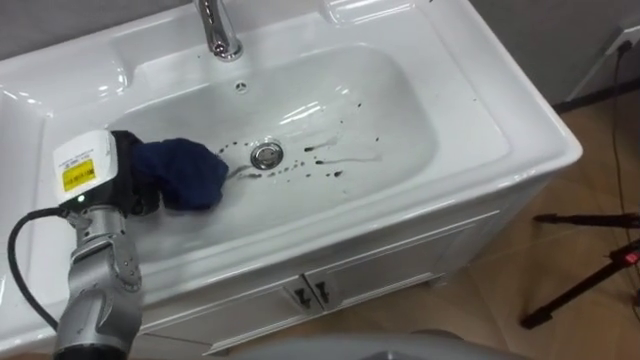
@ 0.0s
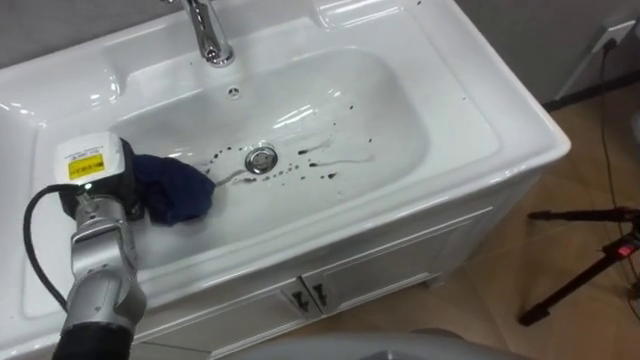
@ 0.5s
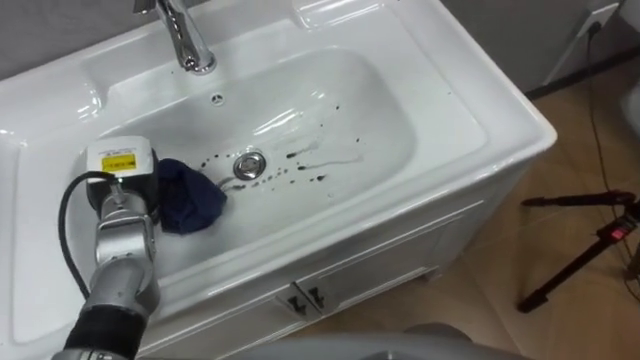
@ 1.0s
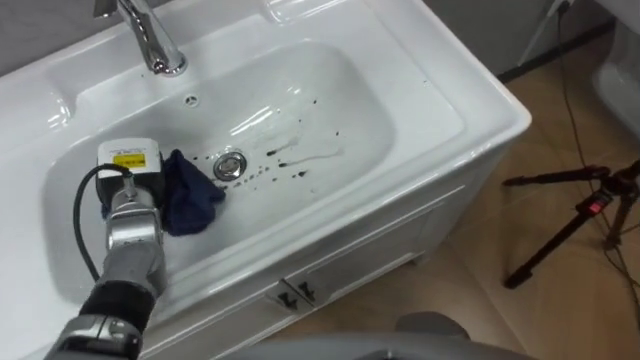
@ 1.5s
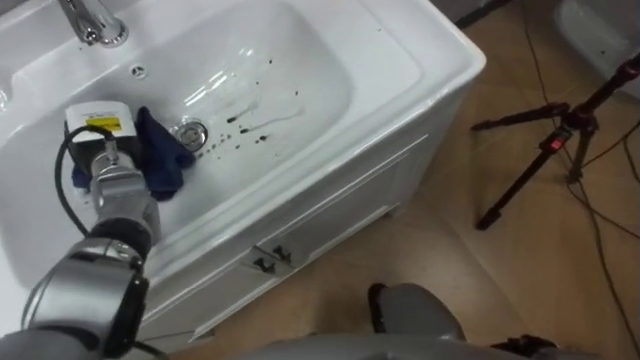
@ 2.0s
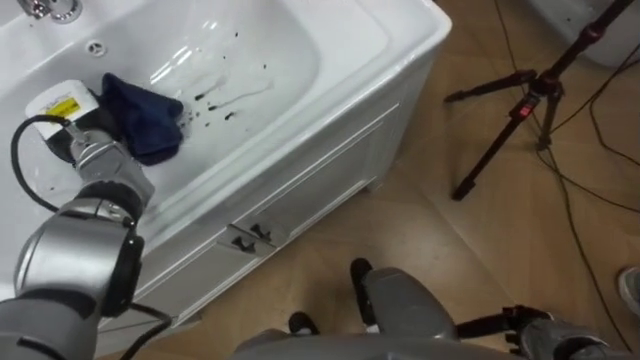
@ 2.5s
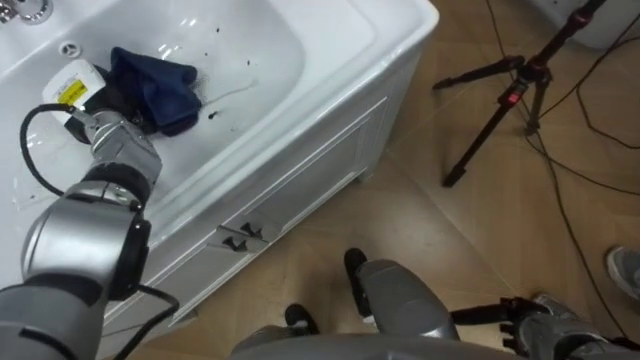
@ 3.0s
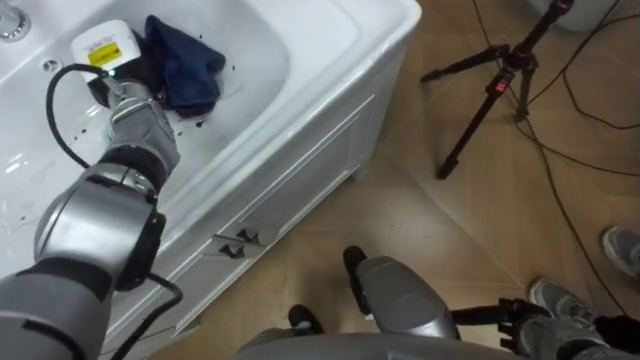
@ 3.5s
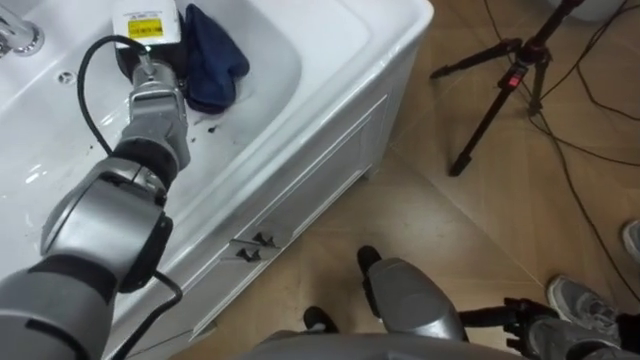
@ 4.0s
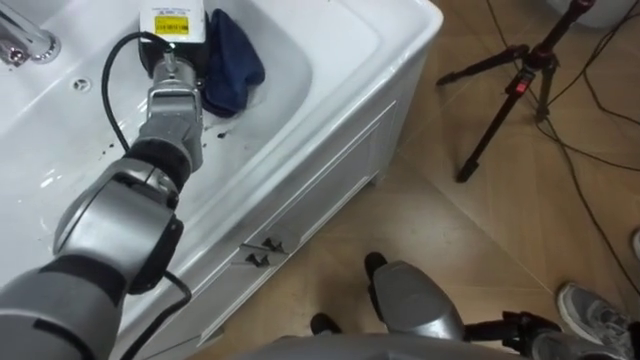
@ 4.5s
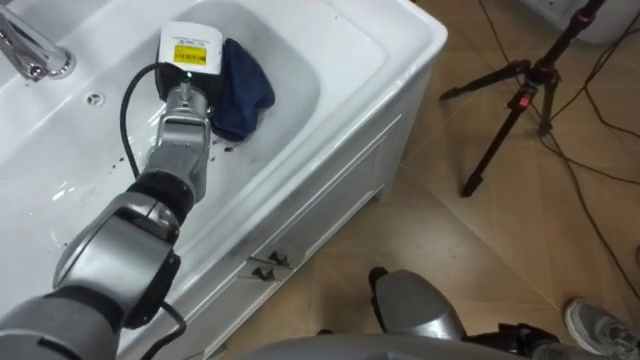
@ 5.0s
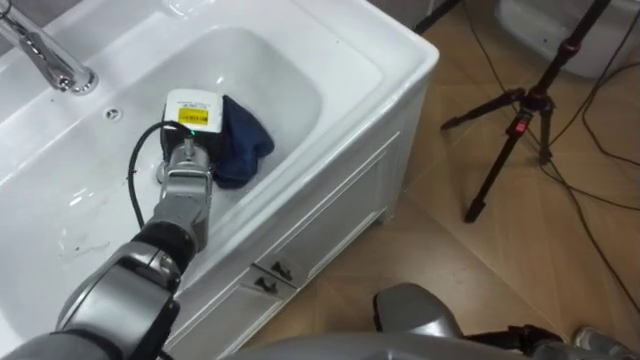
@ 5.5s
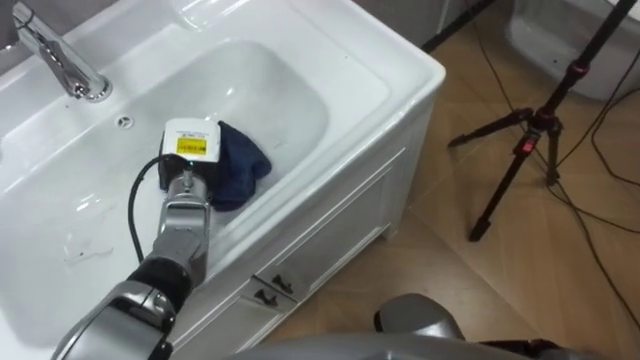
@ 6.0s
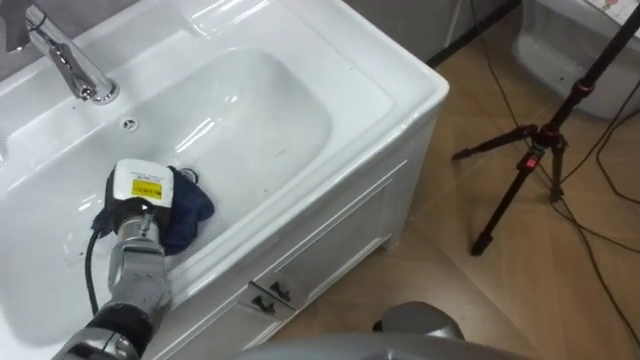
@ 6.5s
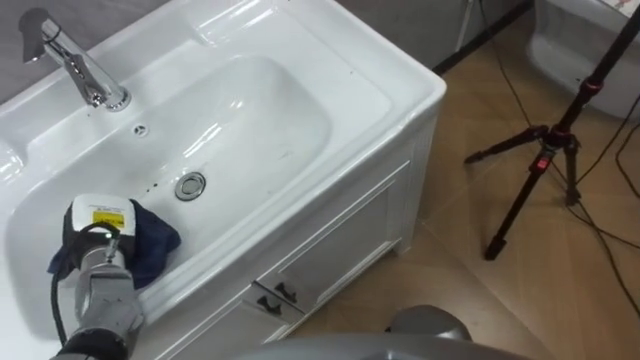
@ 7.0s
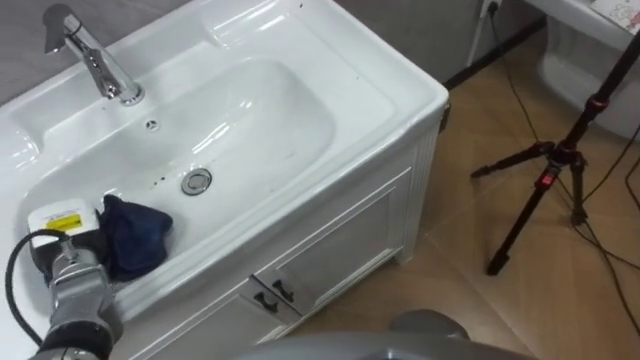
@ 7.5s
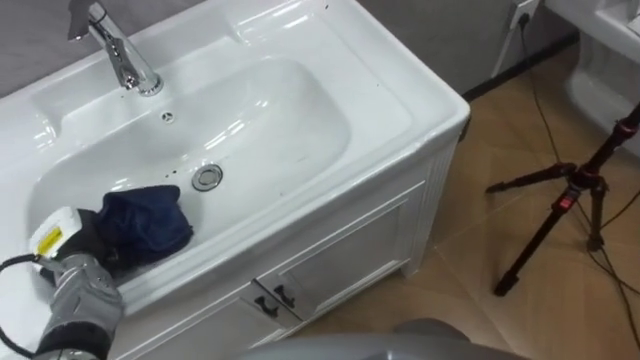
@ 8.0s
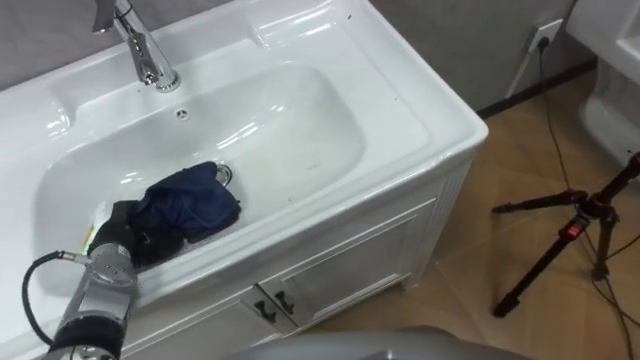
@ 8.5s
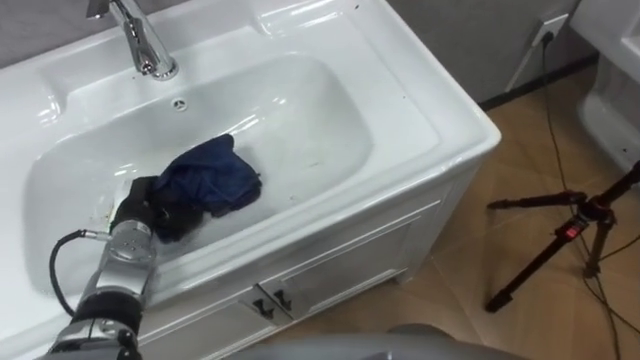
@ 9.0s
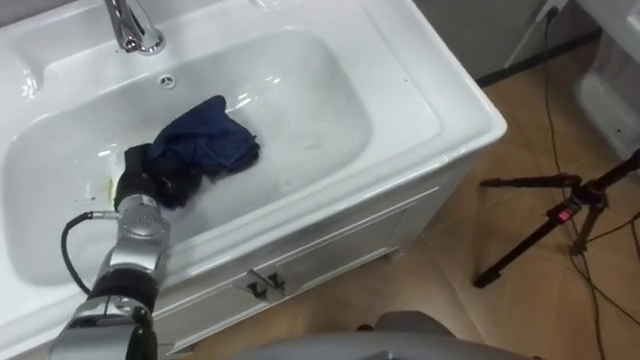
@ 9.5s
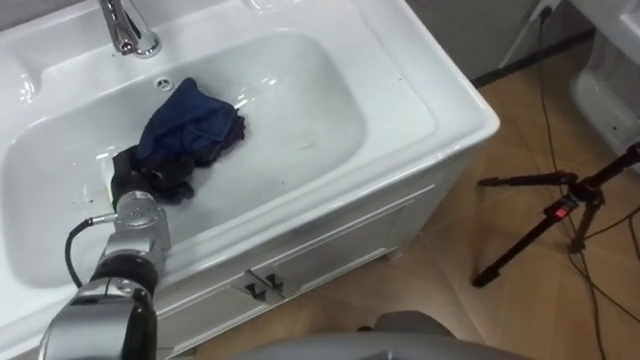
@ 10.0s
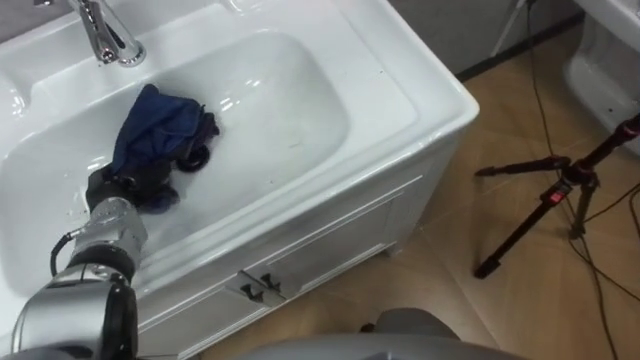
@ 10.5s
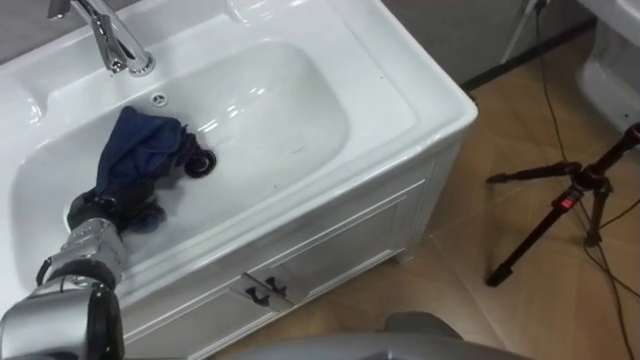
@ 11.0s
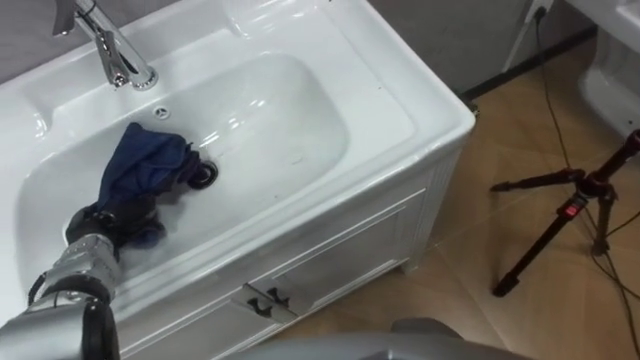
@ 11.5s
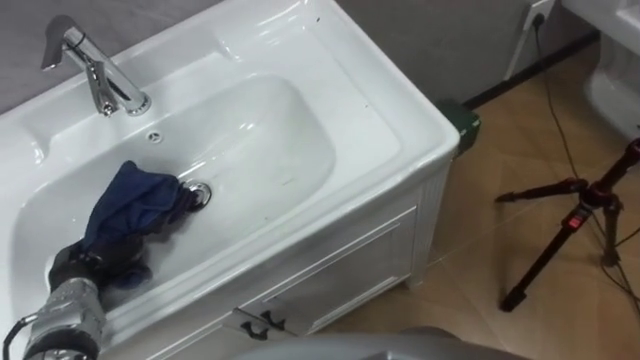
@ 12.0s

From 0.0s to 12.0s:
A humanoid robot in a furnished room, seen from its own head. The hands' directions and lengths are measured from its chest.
Task of the whole recording: Use the cloth on the right to wipe away the black stain in the sink.
From 0.0s to 2.0s: The left hand travels forward by about 10 cm.
From 2.0s to 4.0s: The left hand moves forward, upward and to the right, roughly 15 cm.
From 4.0s to 6.0s: The left hand is displaced downward and backward by roughly 15 cm.
From 6.0s to 8.0s: The left hand heads to the left and backward, covering roughly 20 cm.
From 8.0s to 10.0s: The left hand shifts about 10 cm forward and to the right.
From 10.0s to 12.0s: The left hand heads backward and to the left, covering approximately 15 cm.

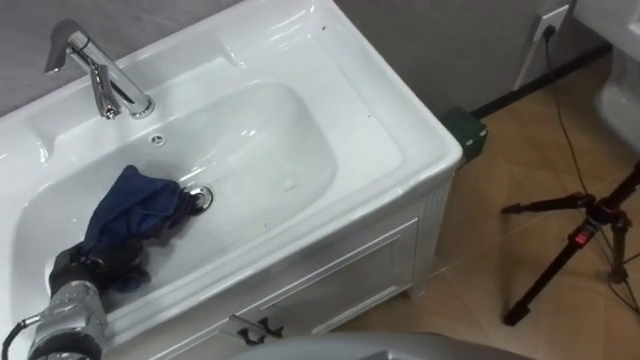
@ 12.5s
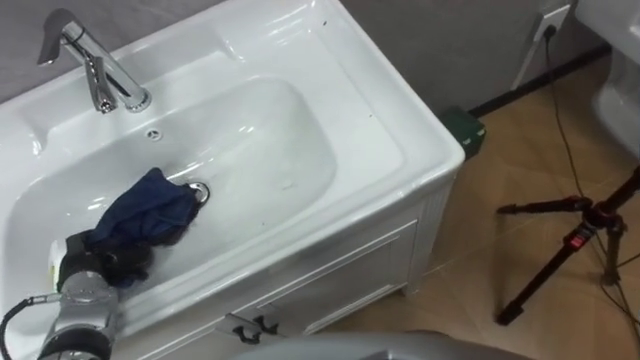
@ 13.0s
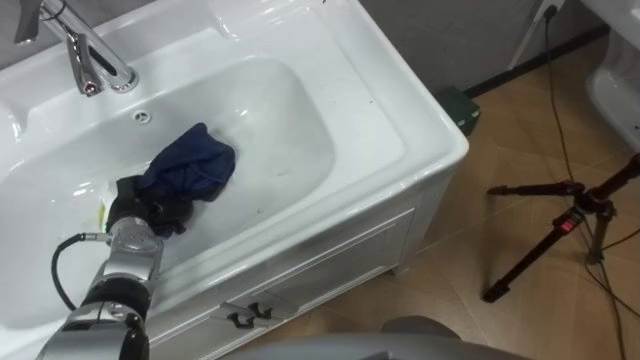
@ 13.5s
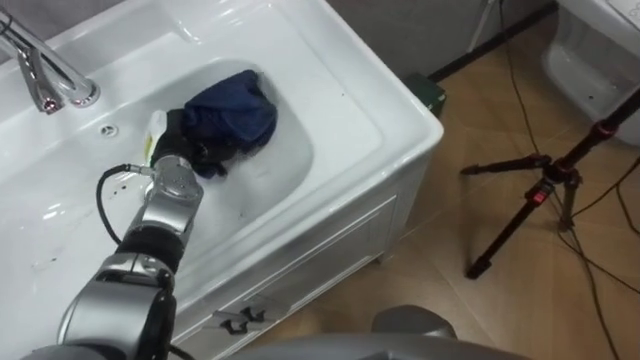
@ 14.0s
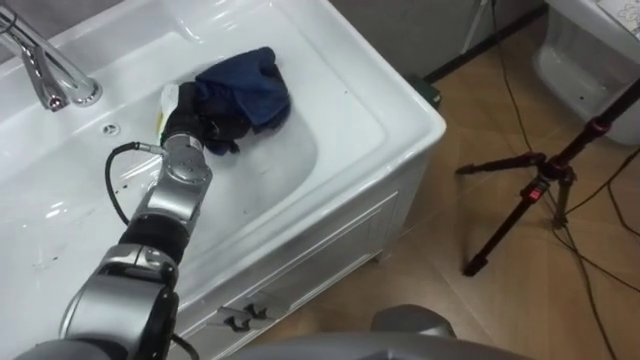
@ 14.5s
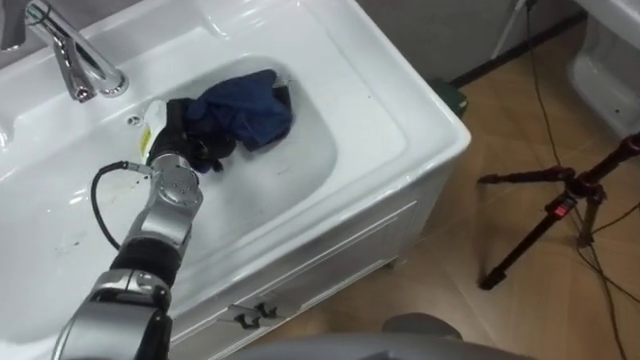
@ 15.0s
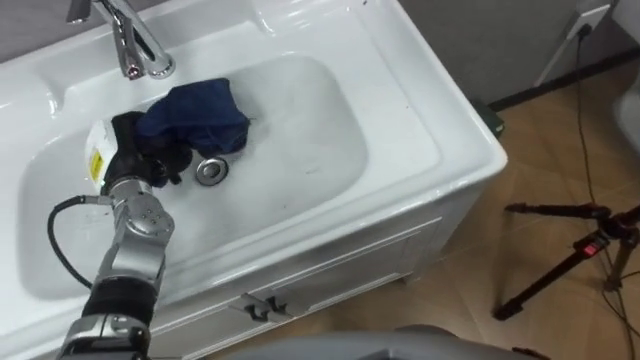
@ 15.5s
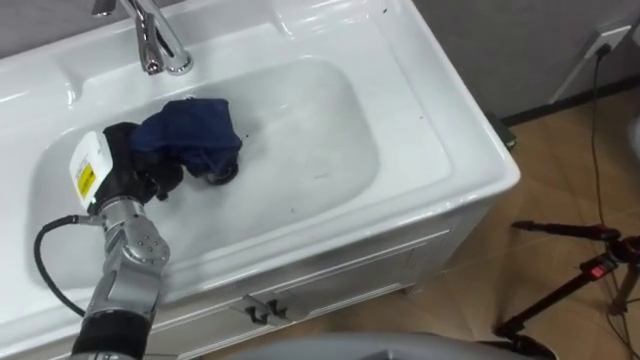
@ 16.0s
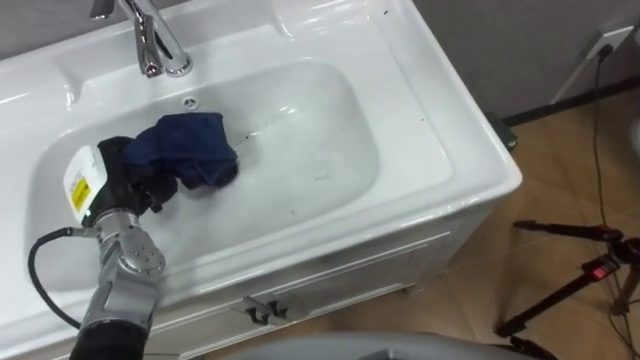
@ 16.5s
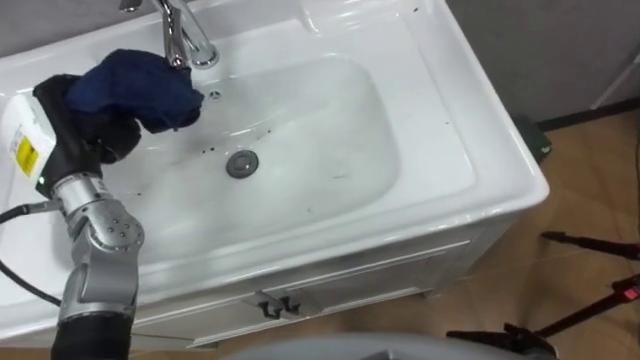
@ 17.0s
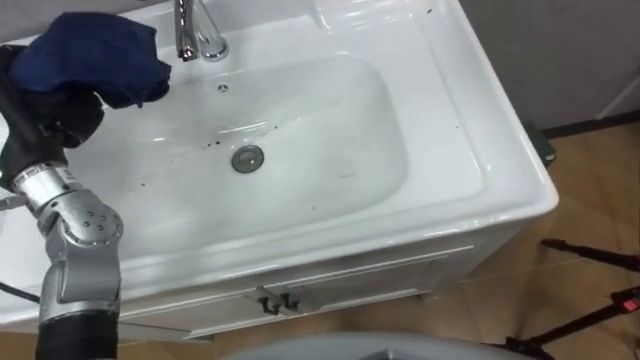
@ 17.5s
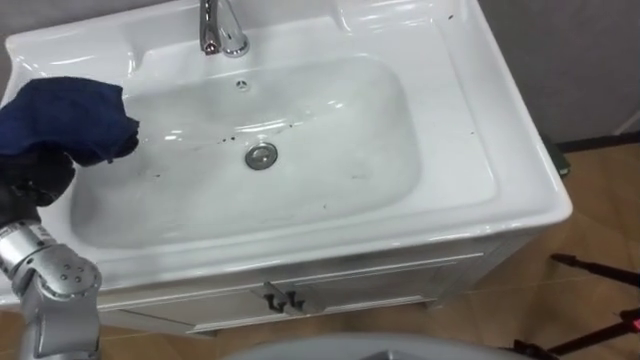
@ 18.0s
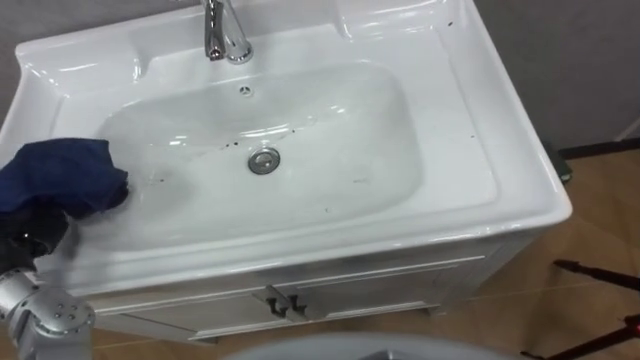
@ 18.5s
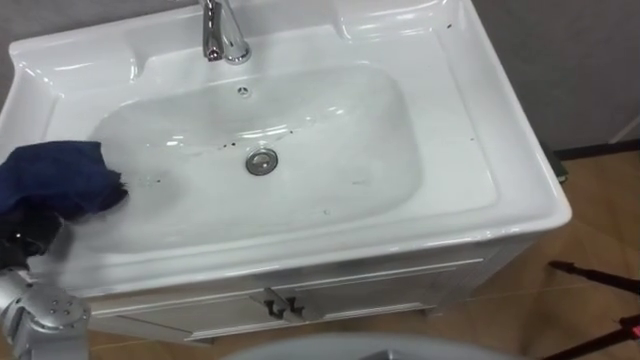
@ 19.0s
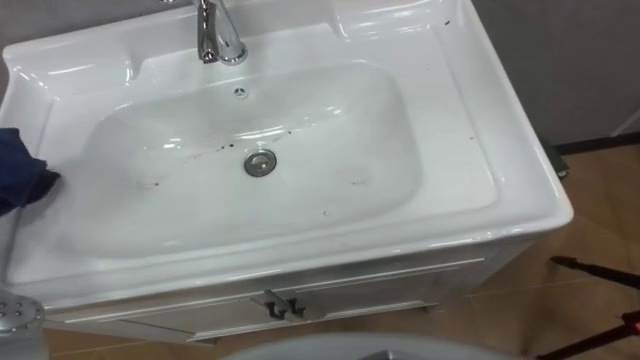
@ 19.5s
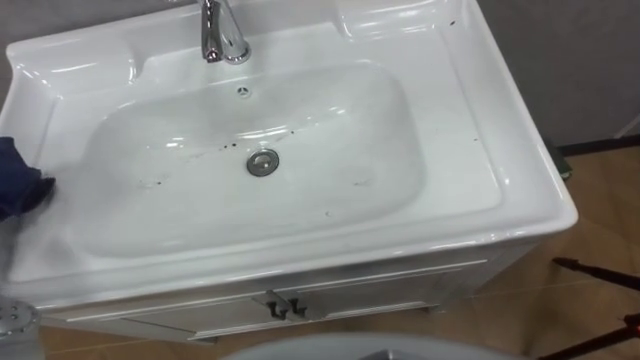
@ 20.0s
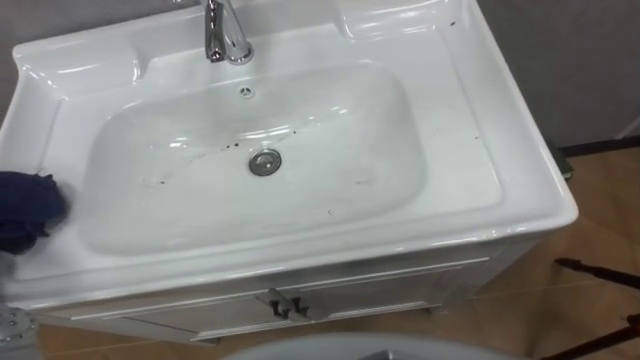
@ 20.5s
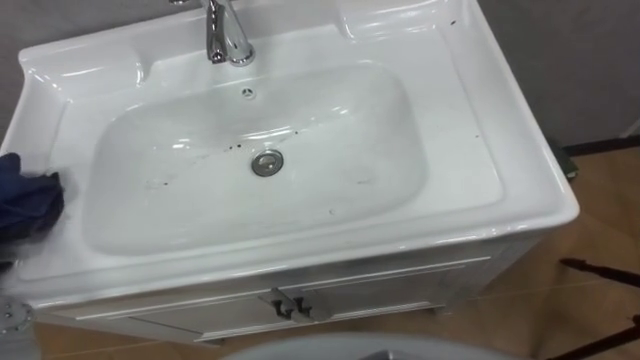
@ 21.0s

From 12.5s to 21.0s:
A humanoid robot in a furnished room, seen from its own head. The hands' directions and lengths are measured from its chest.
Task of the whole recording: Use the cloth on the right to wipe away the black stain in the sink.
From 12.5s to 14.5s: The left hand heads forward, to the right and upward, covering roughly 30 cm.
From 14.5s to 16.5s: The left hand moves backward and to the left, roughly 15 cm.
